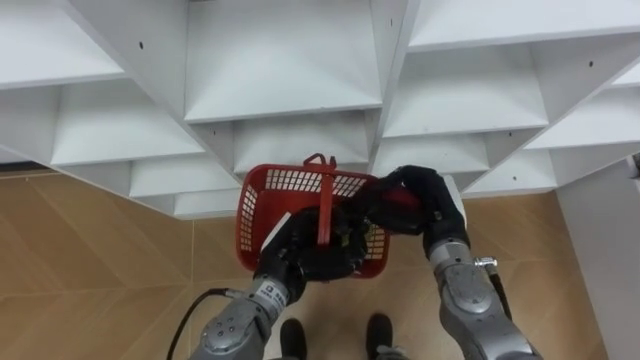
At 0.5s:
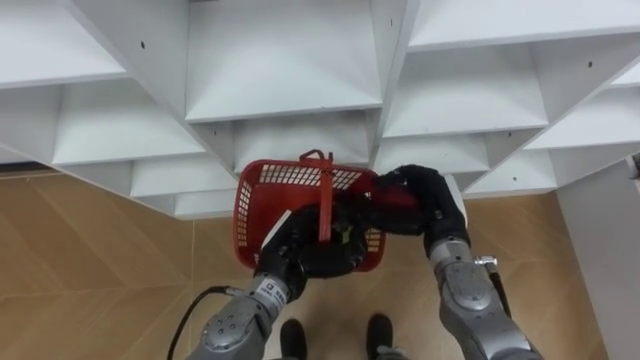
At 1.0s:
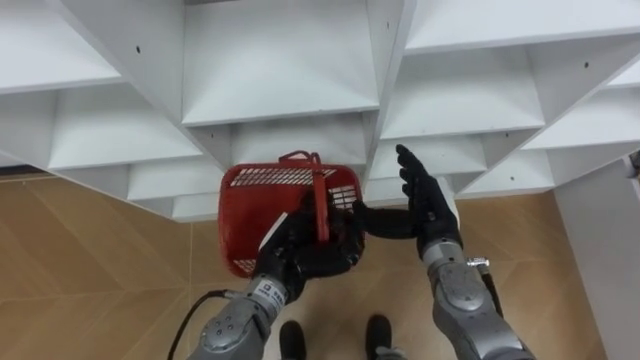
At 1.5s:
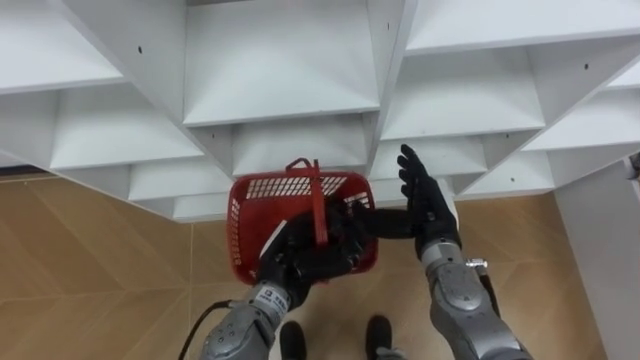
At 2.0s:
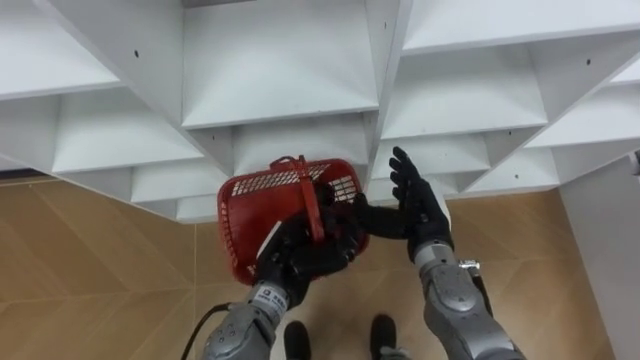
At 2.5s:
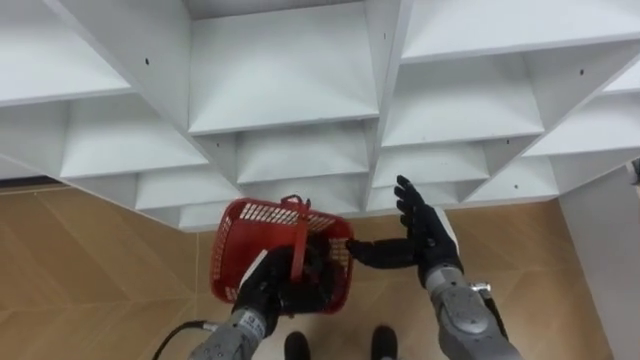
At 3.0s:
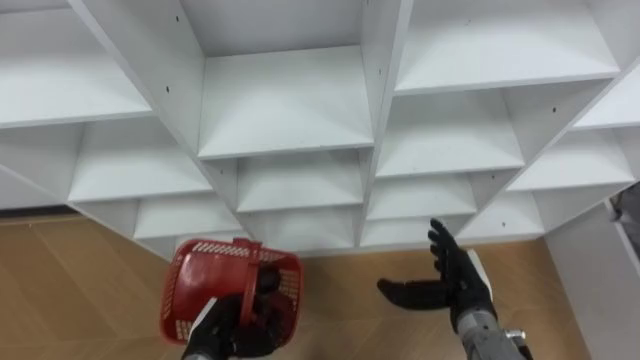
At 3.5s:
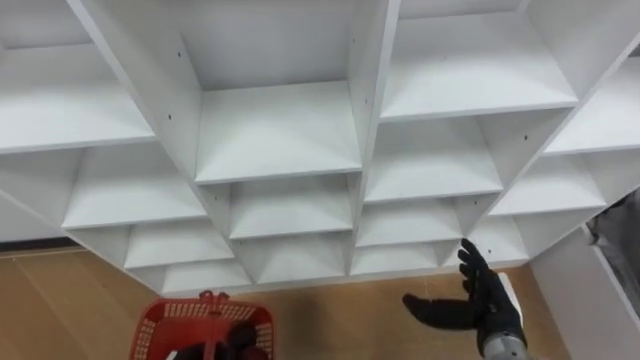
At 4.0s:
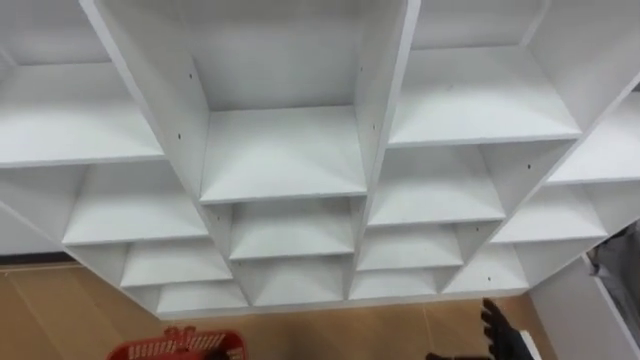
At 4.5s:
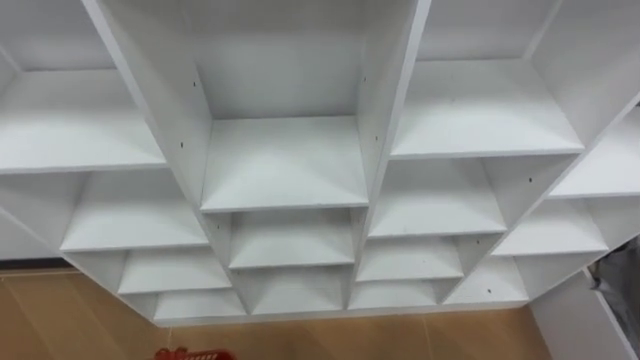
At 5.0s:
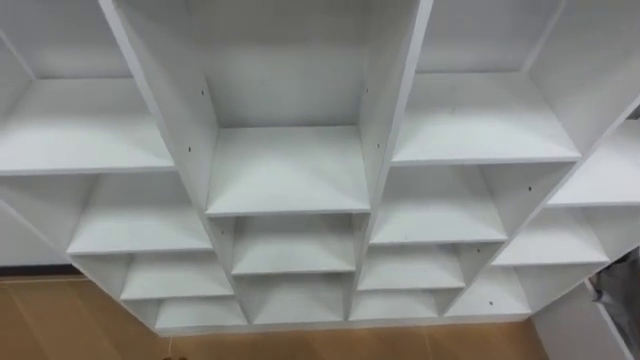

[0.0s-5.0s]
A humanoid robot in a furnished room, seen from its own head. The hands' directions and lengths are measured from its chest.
Task of the whole recording: Hold the basket and collect the fruits from 3 different cells of the closet into it.
0.0s to 2.5s: The right hand opens its fingers. Meanwhile the left hand is displaced downward by about 5 cm.

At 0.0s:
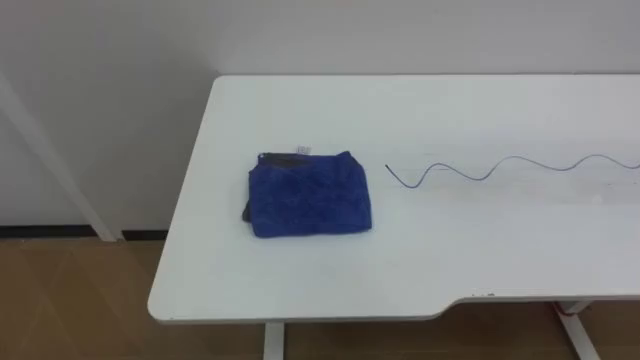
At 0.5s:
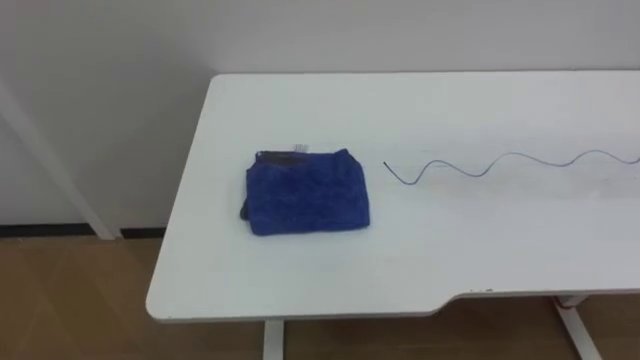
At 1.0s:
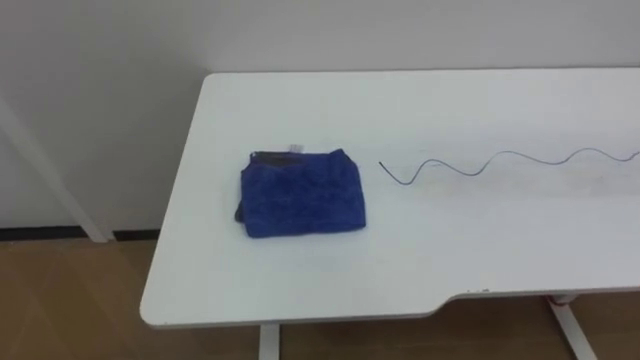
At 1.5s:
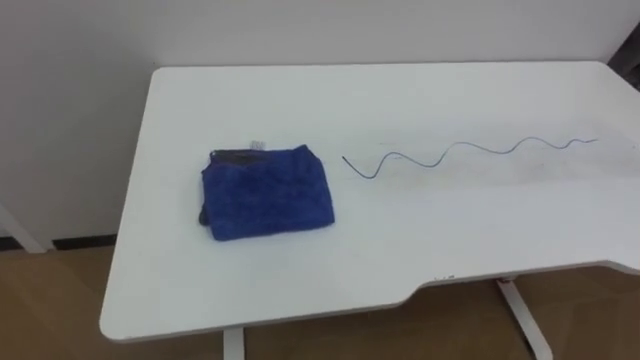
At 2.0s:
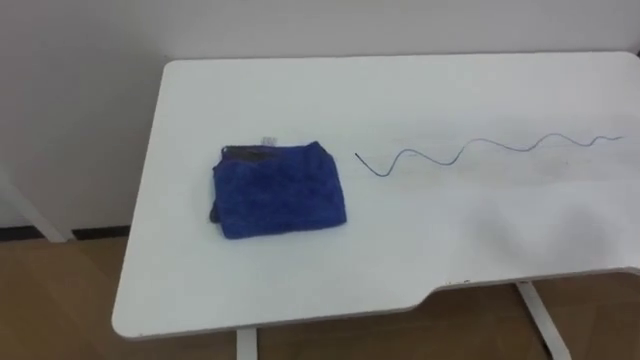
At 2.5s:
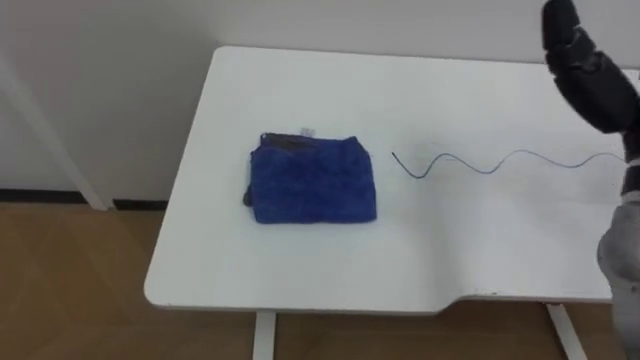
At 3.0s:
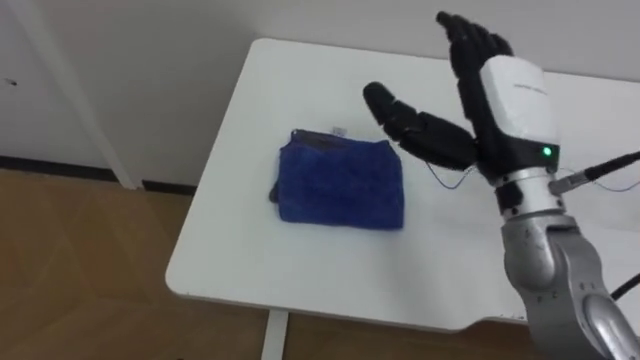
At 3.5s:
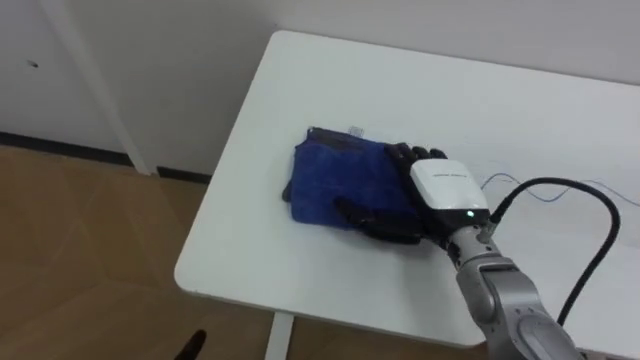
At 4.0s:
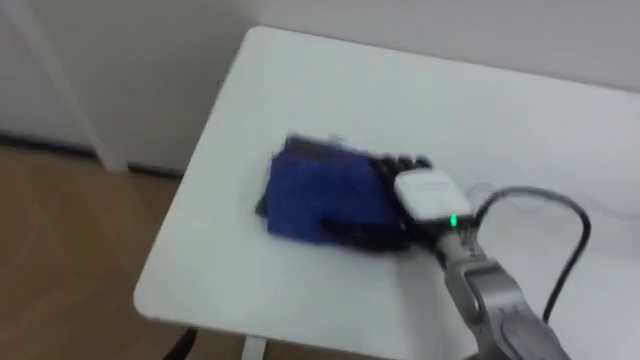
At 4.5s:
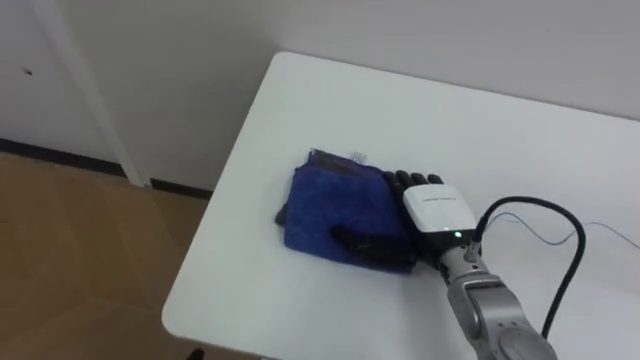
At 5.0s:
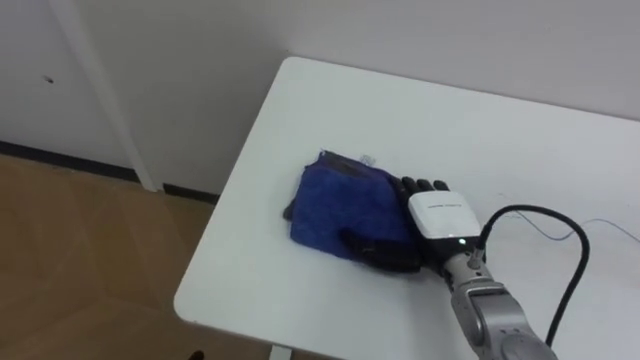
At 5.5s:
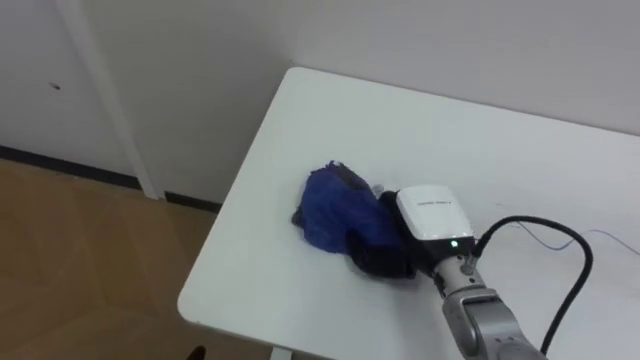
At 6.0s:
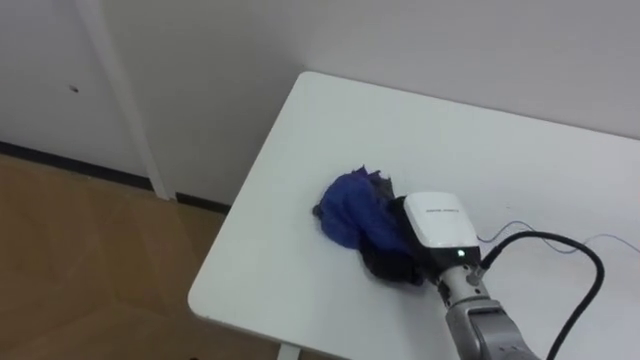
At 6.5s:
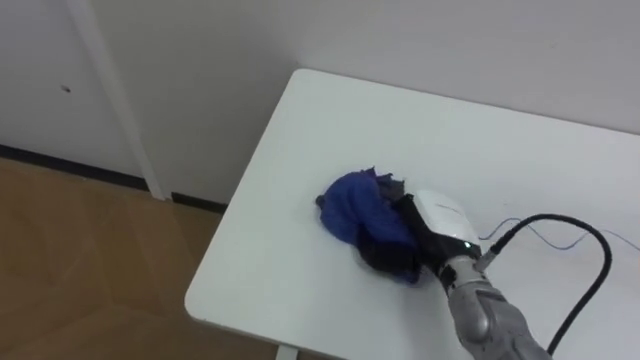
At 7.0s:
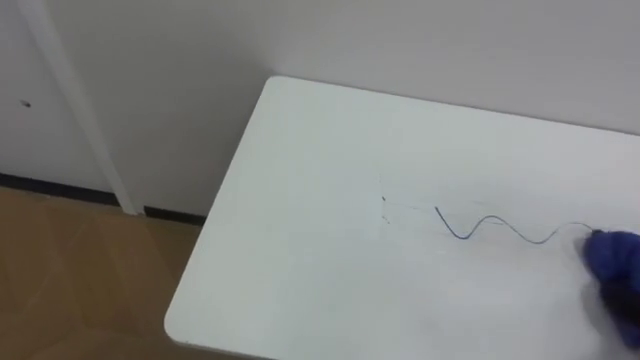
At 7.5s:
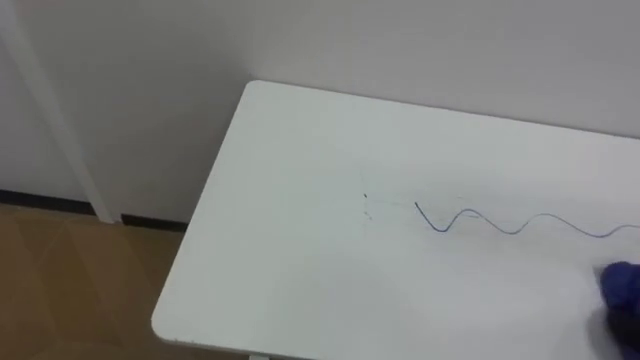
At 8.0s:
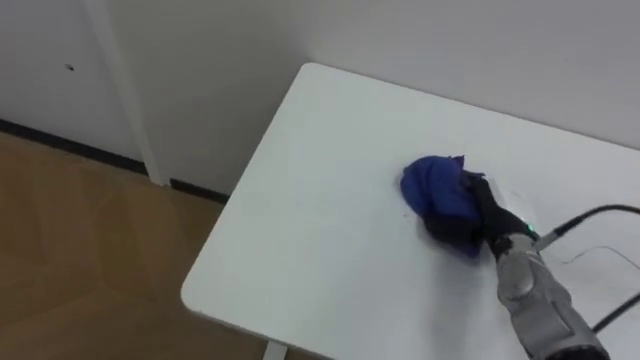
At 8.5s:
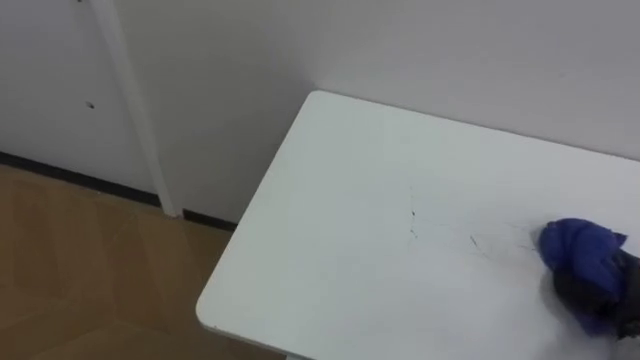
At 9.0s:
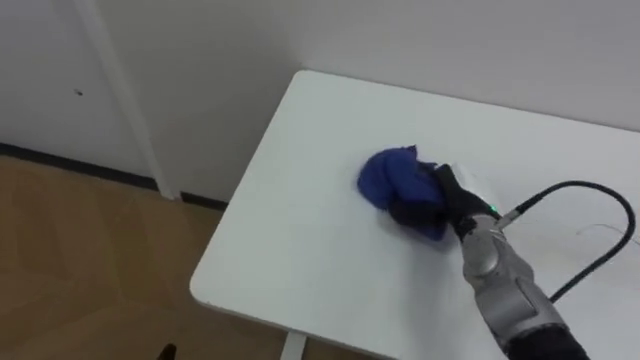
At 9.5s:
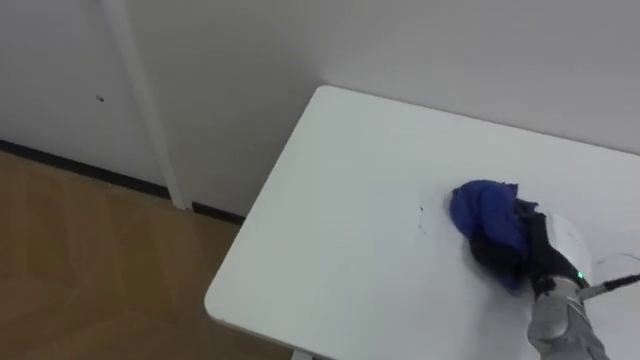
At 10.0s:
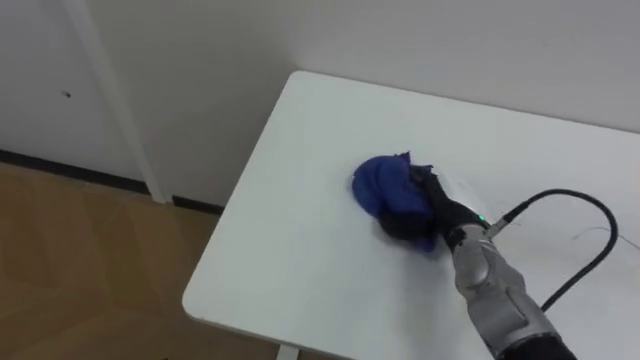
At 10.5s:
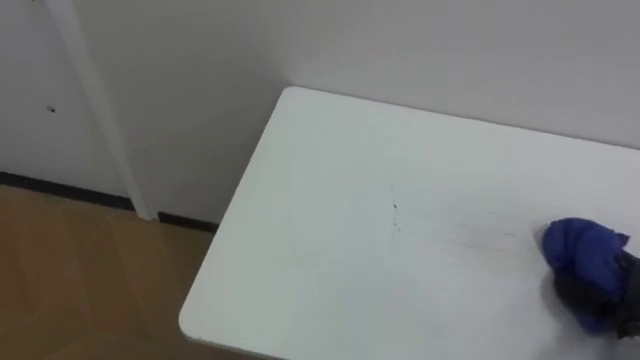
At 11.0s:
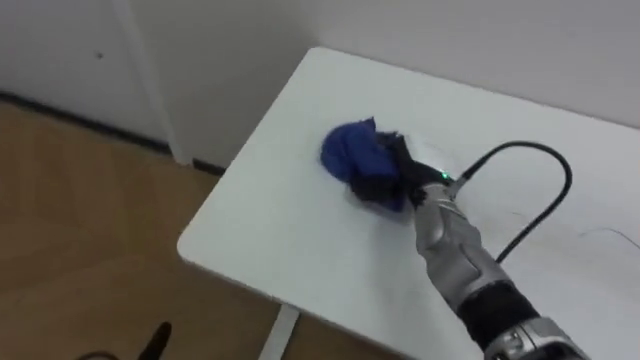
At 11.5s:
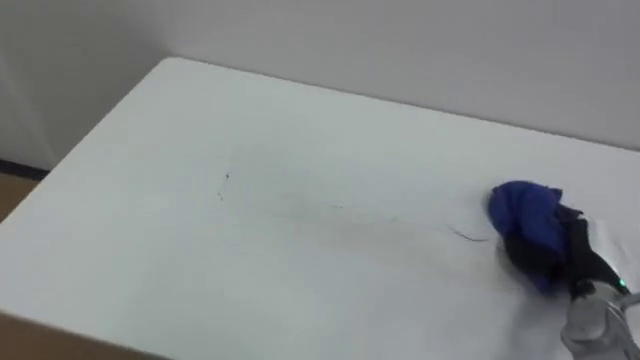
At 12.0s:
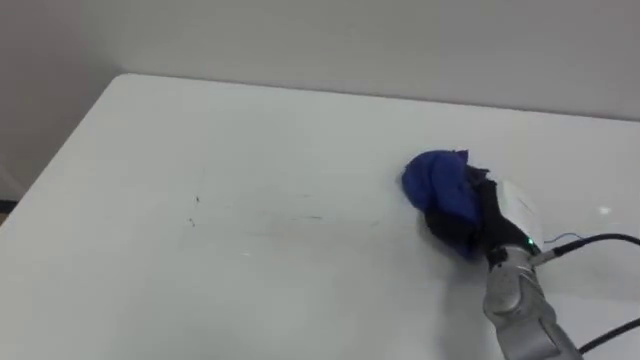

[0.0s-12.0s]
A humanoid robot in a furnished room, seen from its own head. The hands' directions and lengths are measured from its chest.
Task of the whole recording: Wipe the blue pen marks off the table with the rag.
4.0s to 6.0s: The right hand closes its fingers.
8.0s to 10.0s: The right hand moves left and right over about 20 cm, changing direction 3 times.
10.0s to 12.0s: The right hand moves left and right over some 25 cm, changing direction 3 times.

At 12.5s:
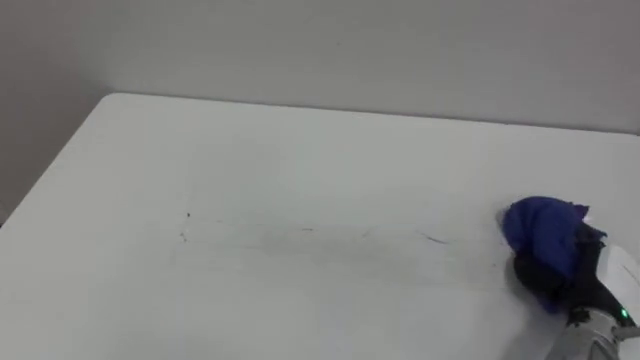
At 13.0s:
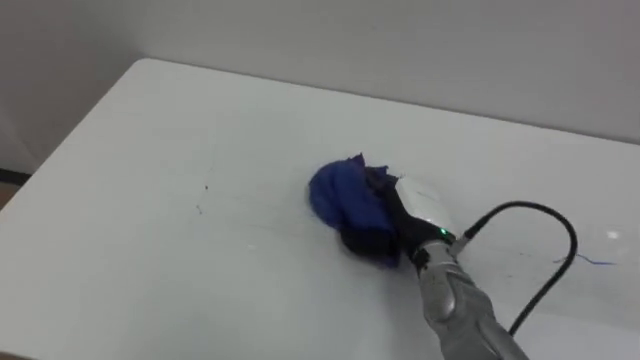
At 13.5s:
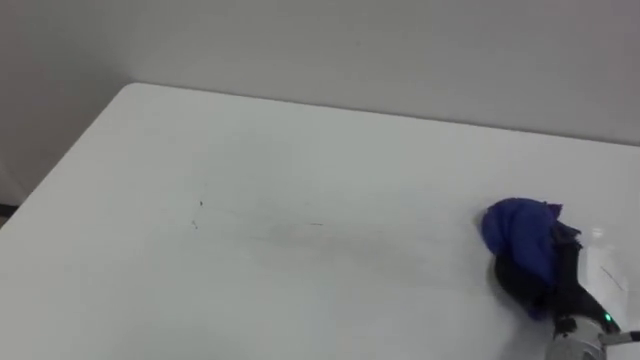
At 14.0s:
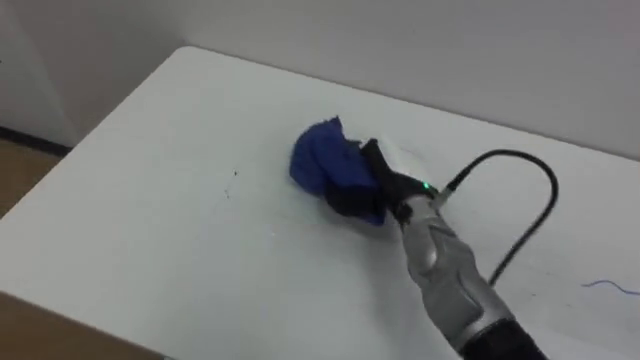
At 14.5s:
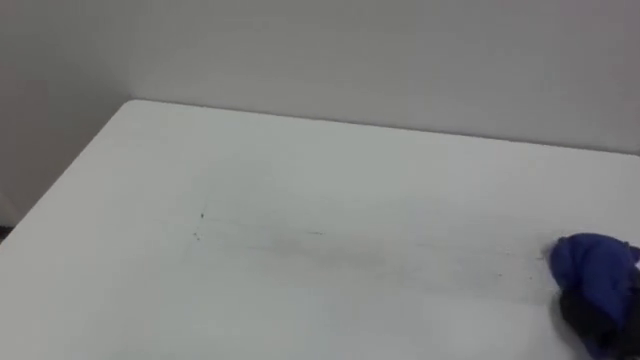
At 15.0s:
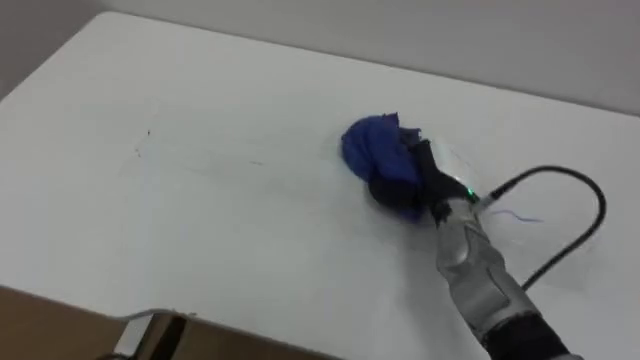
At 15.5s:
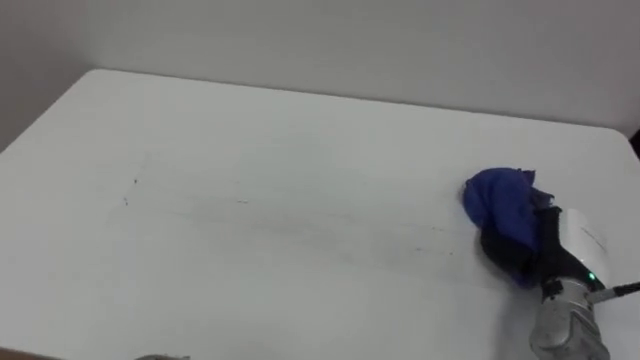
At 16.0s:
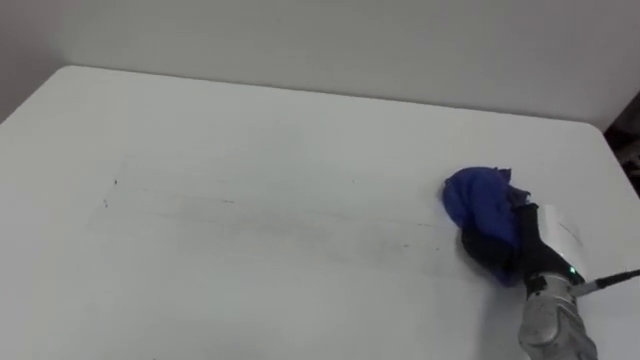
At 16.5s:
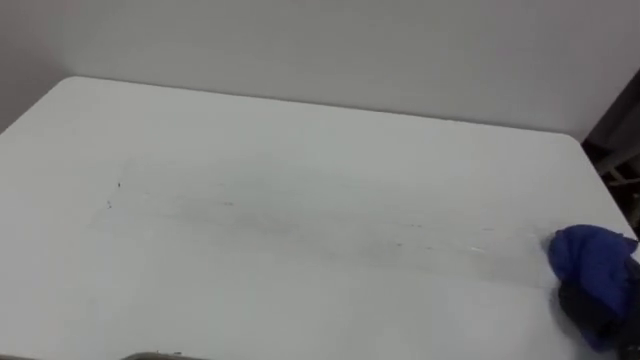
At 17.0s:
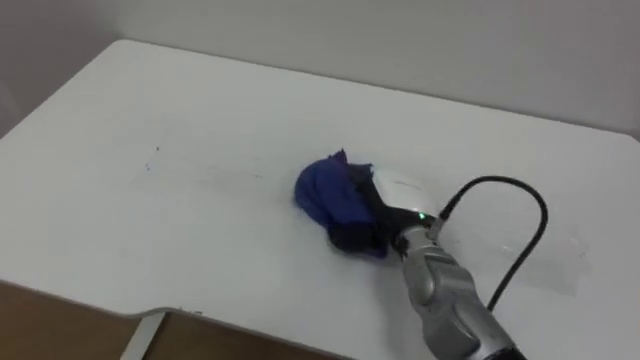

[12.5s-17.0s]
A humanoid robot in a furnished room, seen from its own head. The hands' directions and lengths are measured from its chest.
Task of the whole recording: Wipe the blue pen marks off the table with the rag.
12.5s to 14.5s: The right hand swings left and right, some 30 cm each way, with 3 reversals.
14.5s to 17.0s: The right hand goes left and right, roughly 30 cm each way, reversing 2 times.
